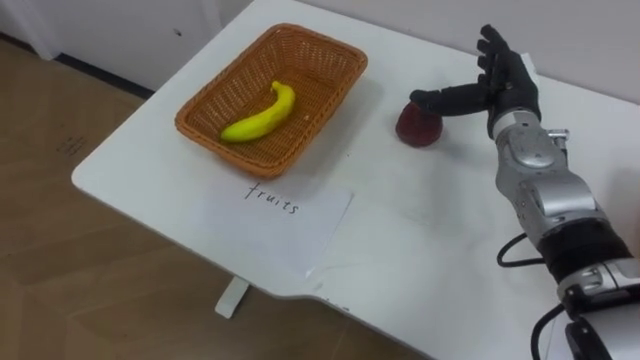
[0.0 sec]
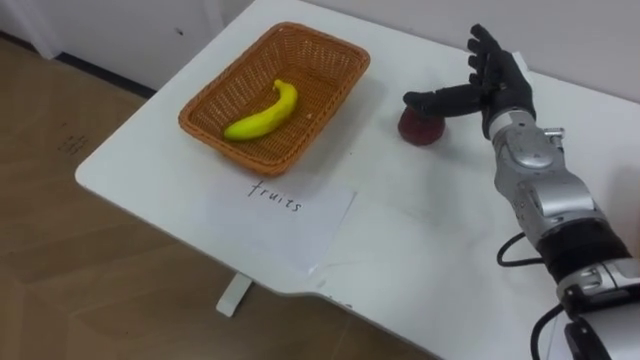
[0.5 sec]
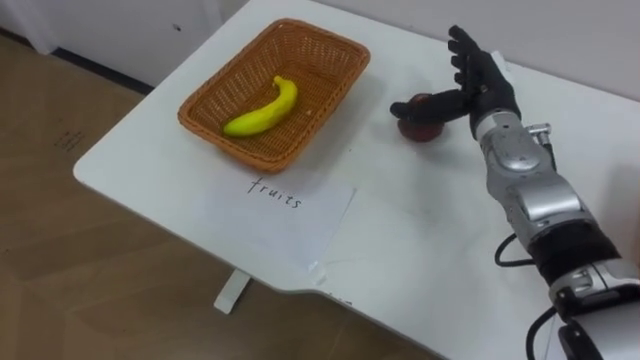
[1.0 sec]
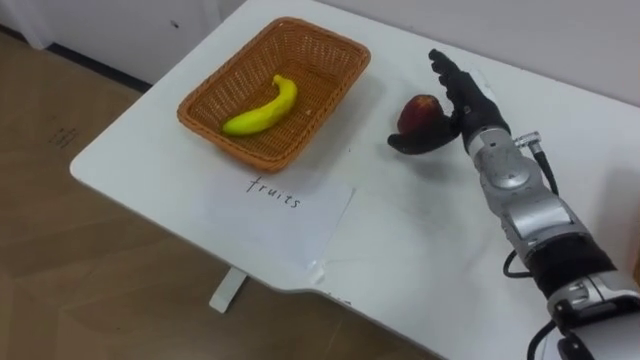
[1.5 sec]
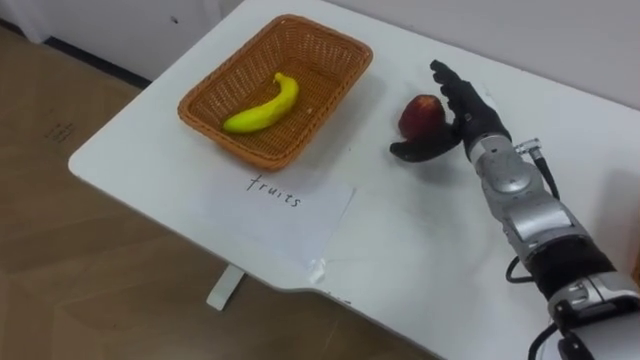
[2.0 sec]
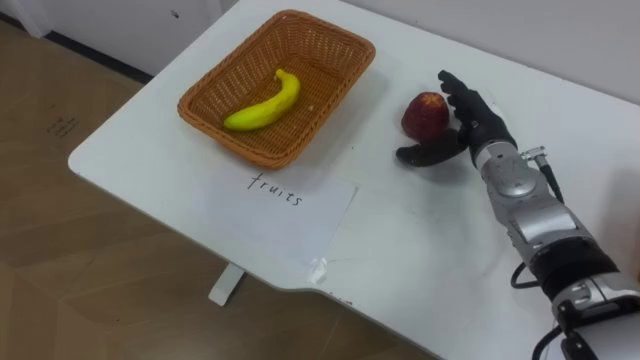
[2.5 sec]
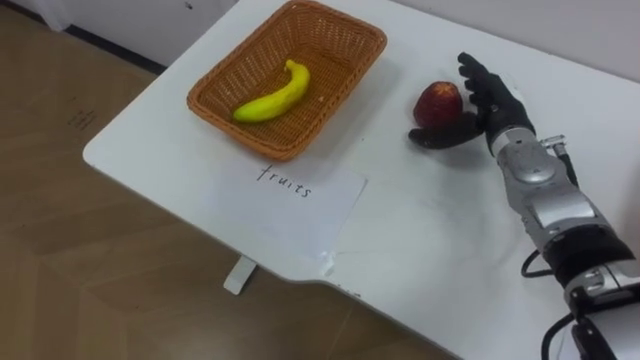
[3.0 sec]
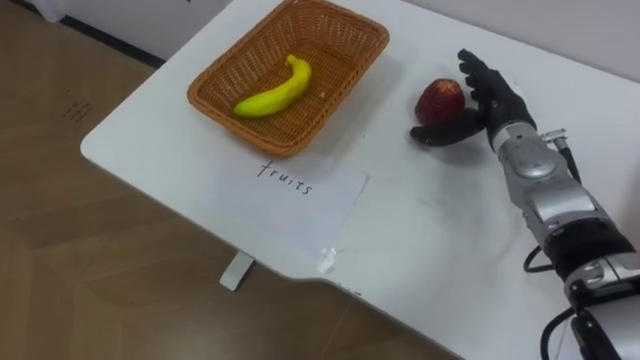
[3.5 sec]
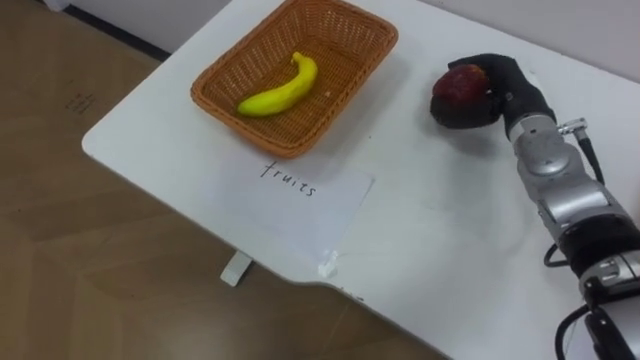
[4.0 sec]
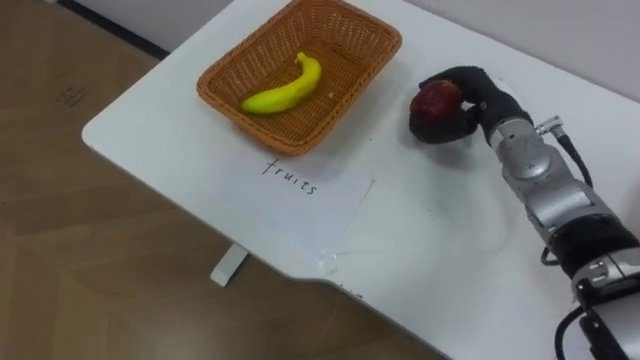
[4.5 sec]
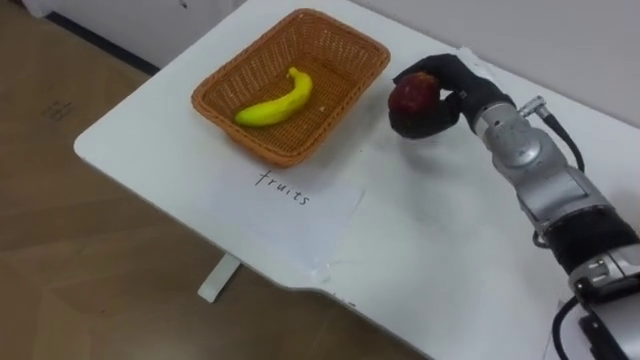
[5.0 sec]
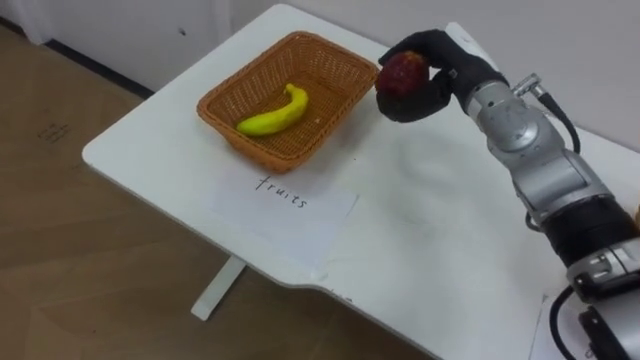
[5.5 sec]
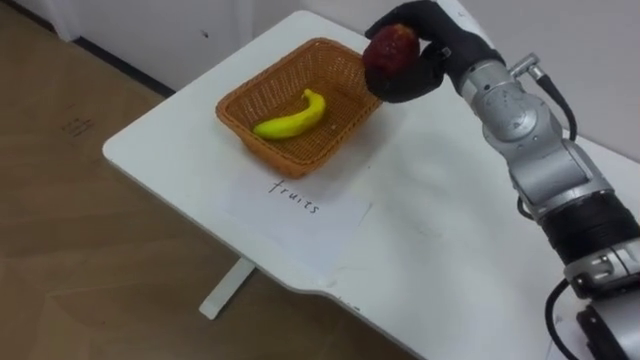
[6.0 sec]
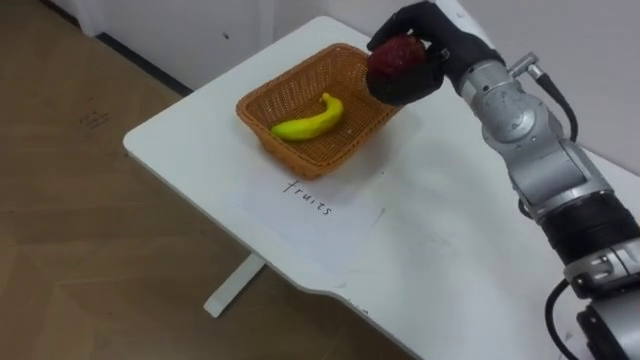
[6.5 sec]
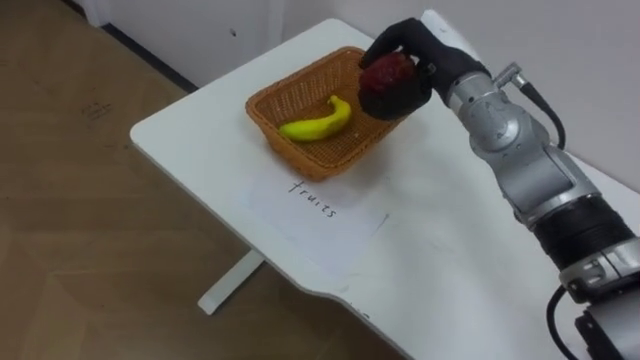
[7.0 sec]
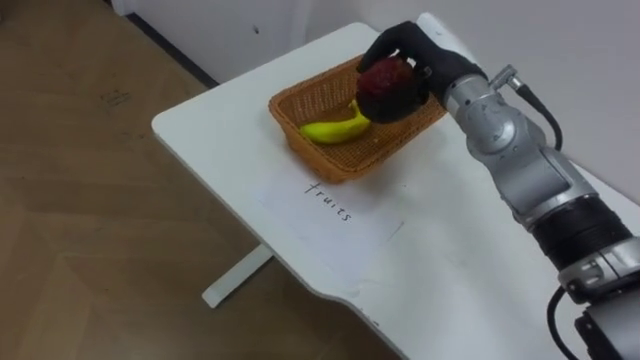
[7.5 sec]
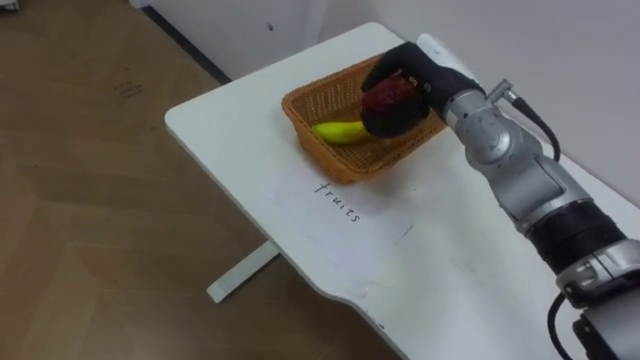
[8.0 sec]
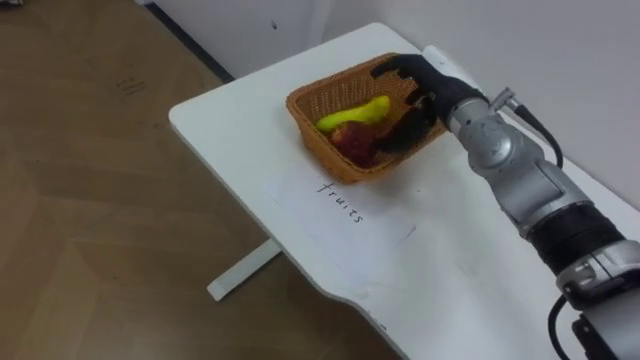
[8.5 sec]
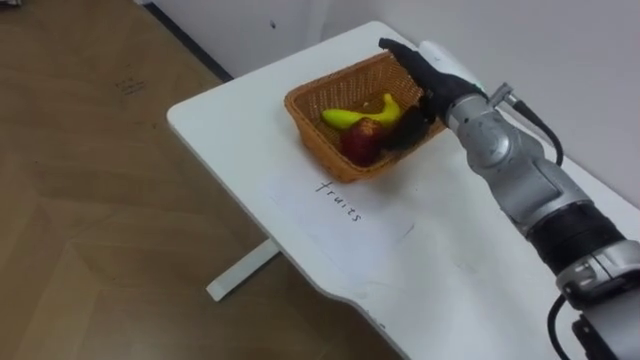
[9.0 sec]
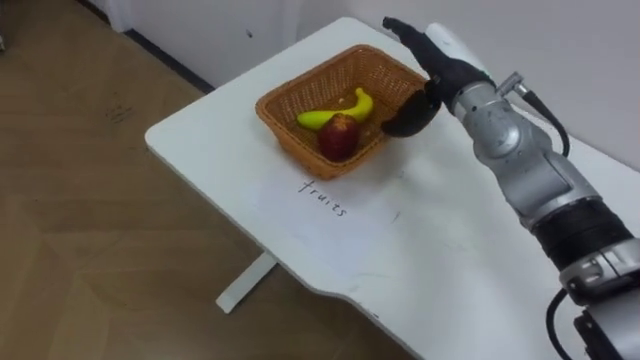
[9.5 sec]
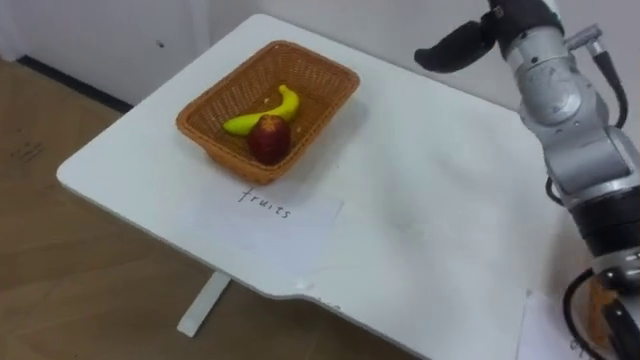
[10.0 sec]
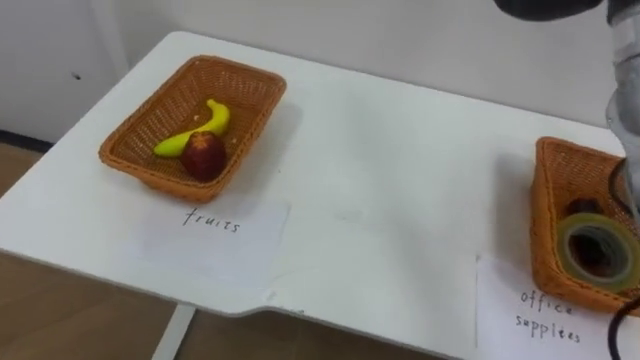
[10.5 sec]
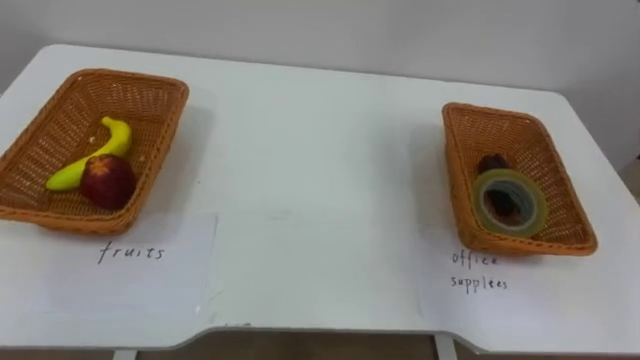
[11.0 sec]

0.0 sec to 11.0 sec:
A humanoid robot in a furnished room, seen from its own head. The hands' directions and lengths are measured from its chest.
Task of the whole recording: Separate the items on the table and place them into the two baskets.
3.5 sec to 5.5 sec: The right hand moves to the left and upward, approximately 10 cm, and closes its fingers.
7.5 sec to 9.0 sec: The right hand opens up.

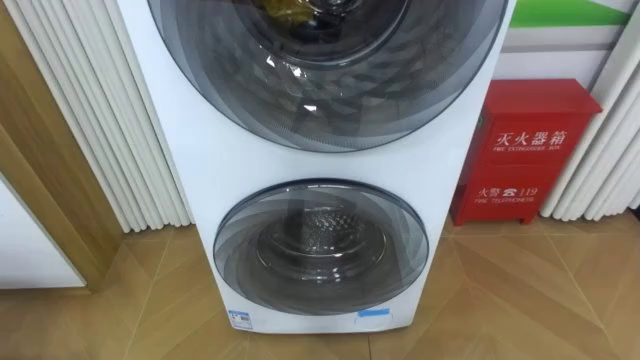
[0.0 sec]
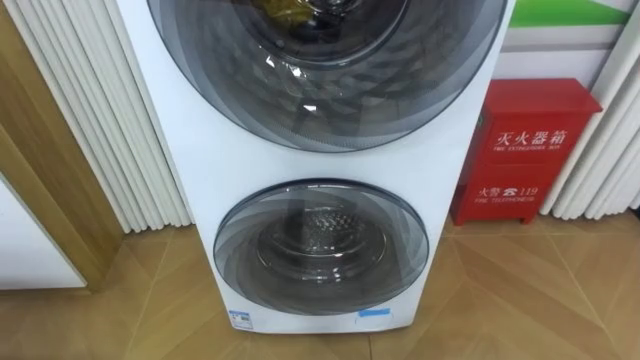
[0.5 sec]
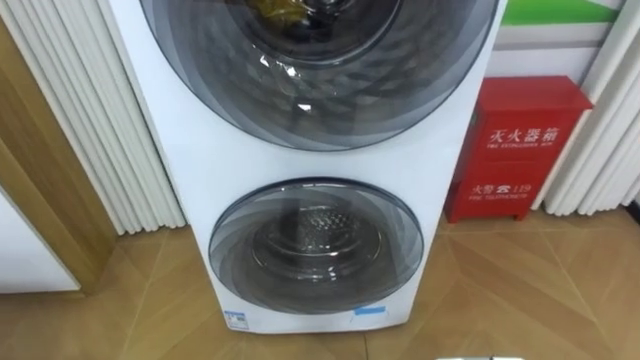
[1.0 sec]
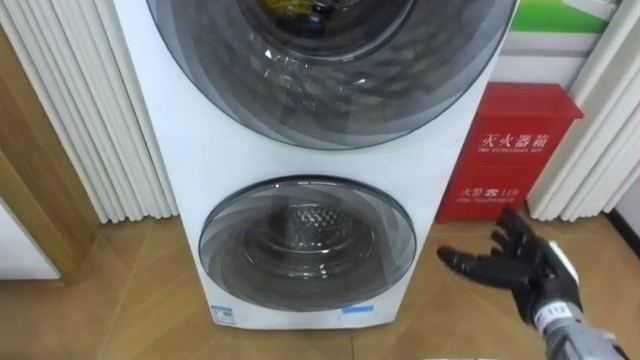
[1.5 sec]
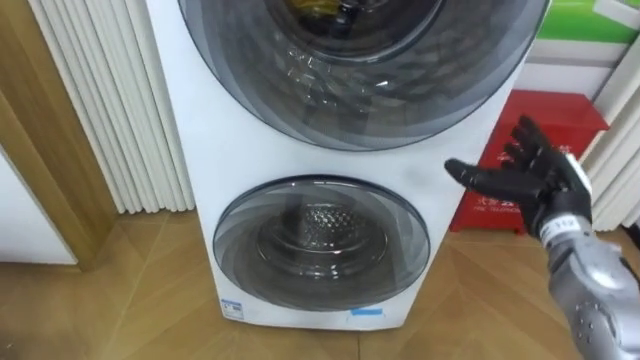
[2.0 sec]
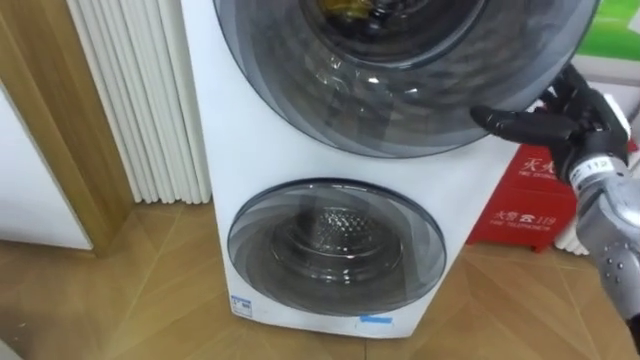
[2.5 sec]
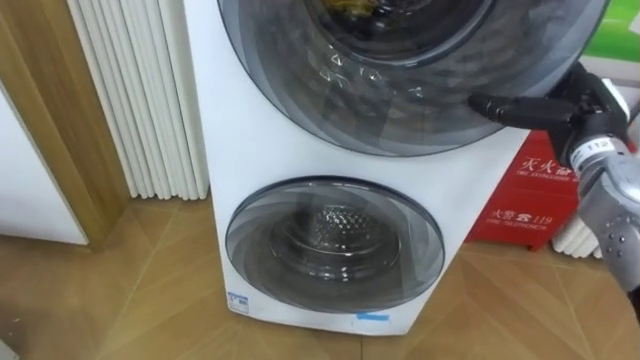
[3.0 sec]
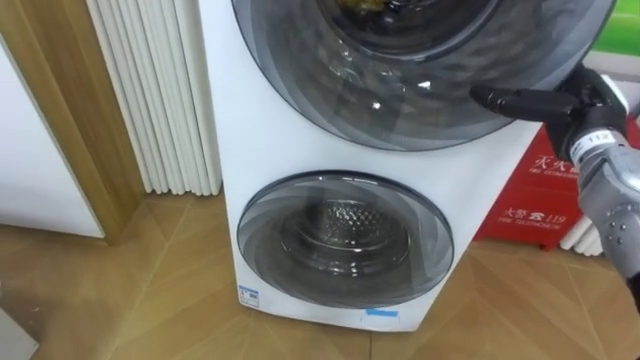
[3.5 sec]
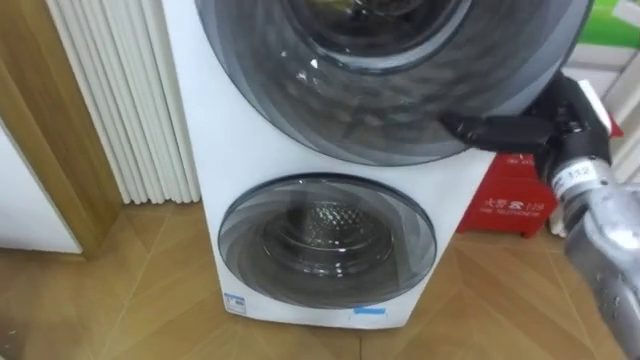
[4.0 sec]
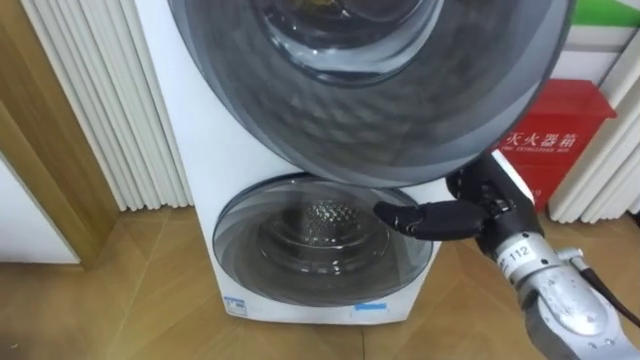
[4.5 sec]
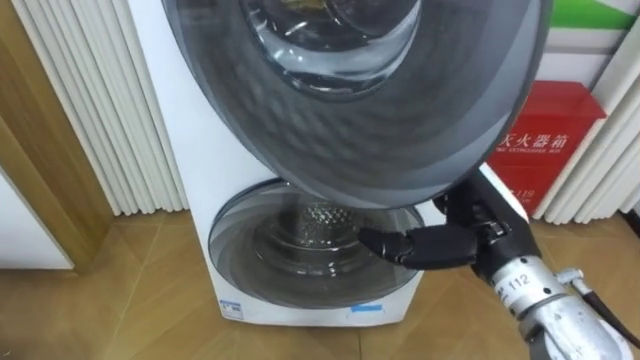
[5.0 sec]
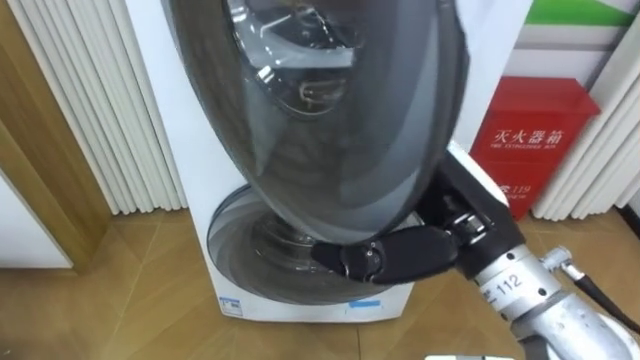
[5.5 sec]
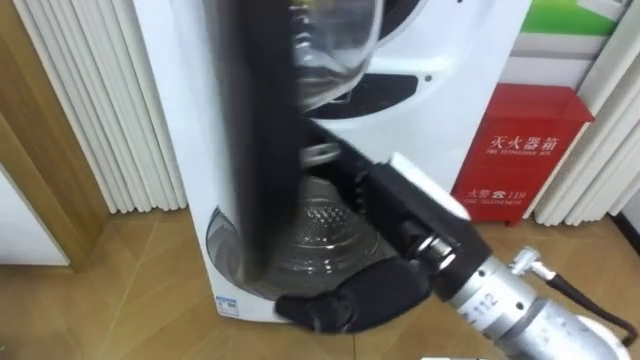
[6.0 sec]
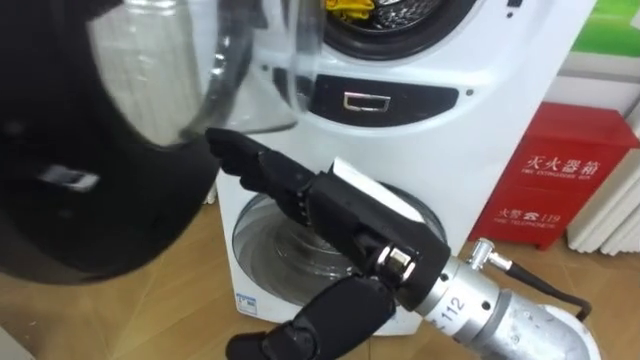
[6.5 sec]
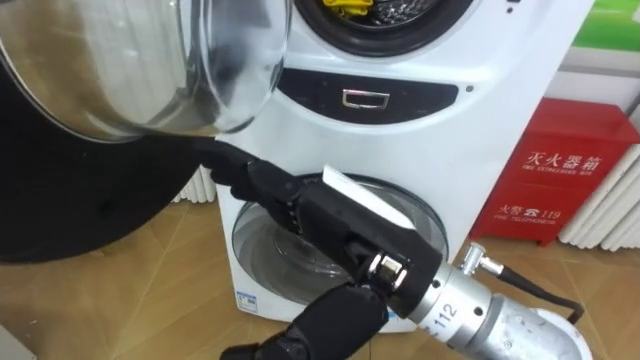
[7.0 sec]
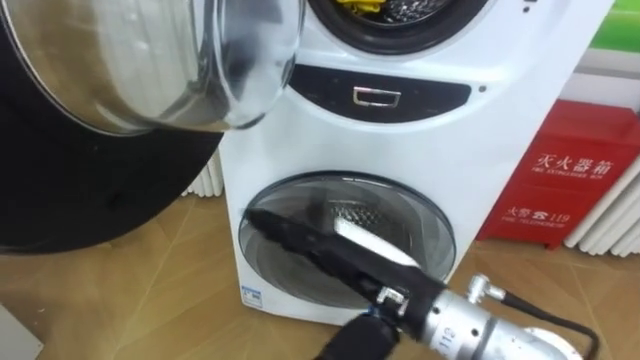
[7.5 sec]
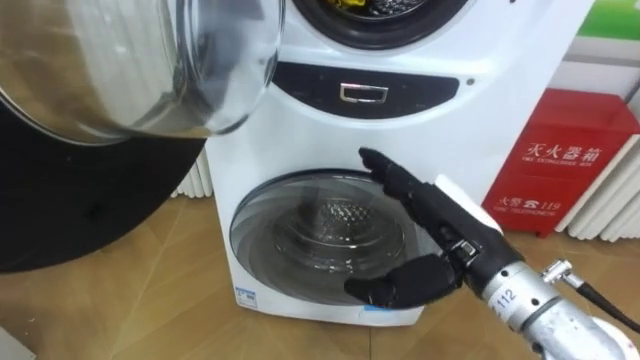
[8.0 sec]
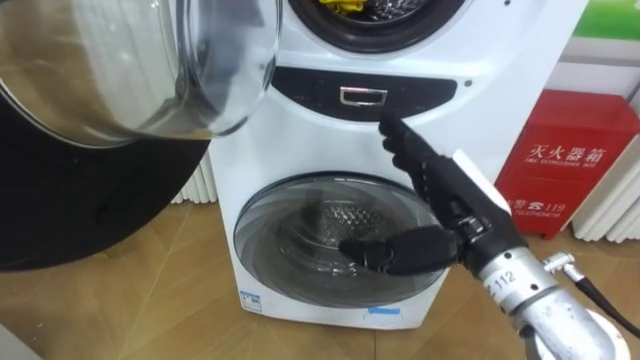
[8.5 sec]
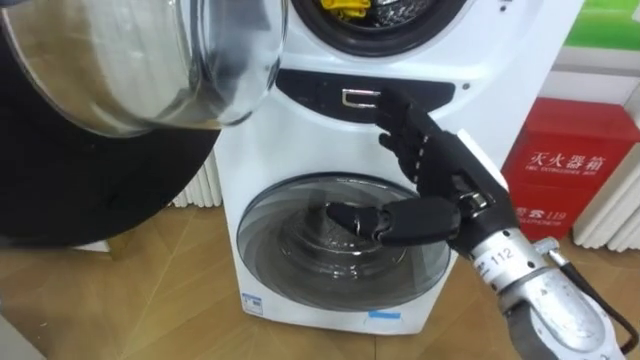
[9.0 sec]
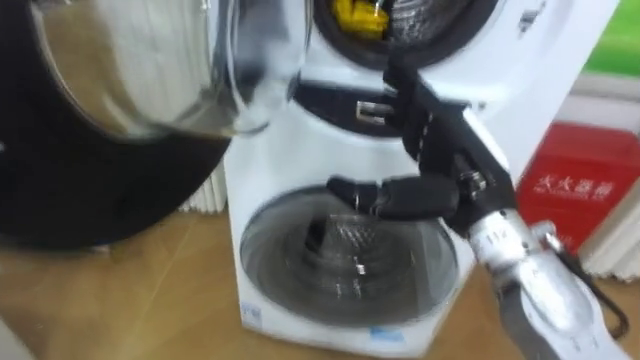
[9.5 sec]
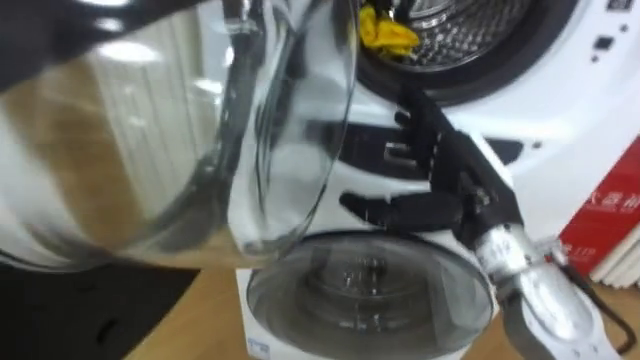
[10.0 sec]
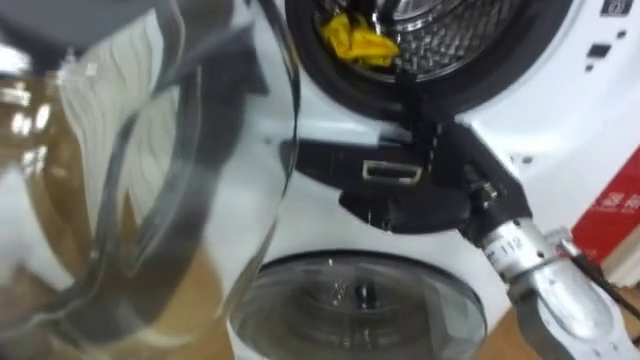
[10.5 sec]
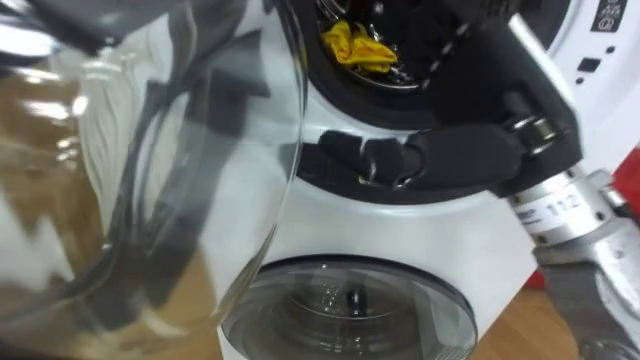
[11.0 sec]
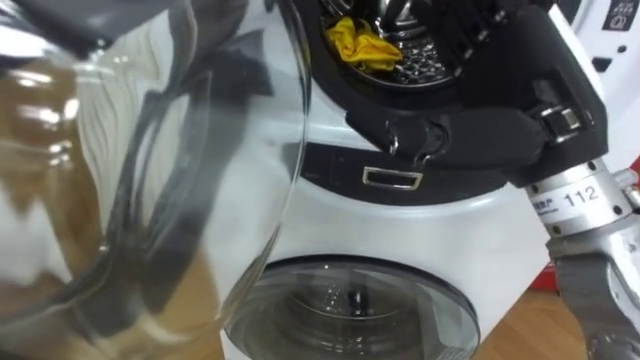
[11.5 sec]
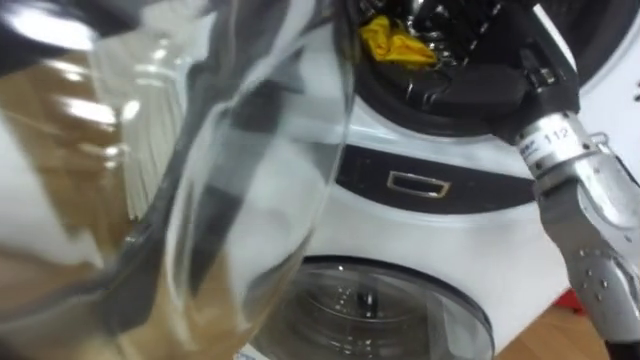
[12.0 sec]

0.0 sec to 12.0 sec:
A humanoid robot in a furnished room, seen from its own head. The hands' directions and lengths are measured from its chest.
Task of the whole recording: Open the washing machine door, take out the yellow clothes, place them in the box on the right, and close the washing machine door.
2.0 sec to 4.0 sec: The right hand heads upward, covering some 10 cm.
4.0 sec to 6.0 sec: The right hand moves to the left and backward, about 20 cm.
6.0 sec to 8.0 sec: The right hand moves downward and to the right, approximately 10 cm.
10.0 sec to 12.0 sec: The right hand moves upward, about 10 cm.
